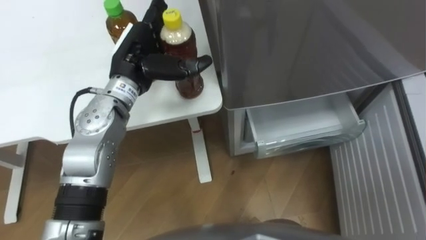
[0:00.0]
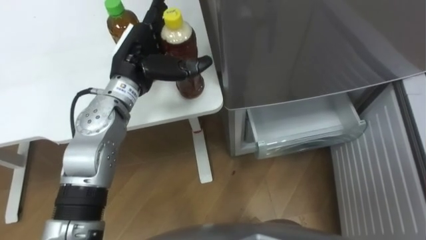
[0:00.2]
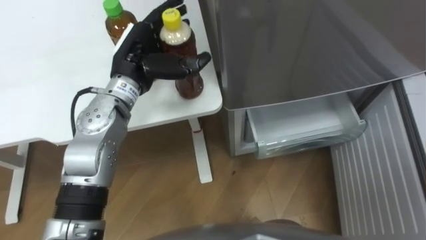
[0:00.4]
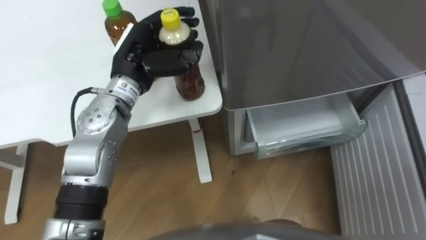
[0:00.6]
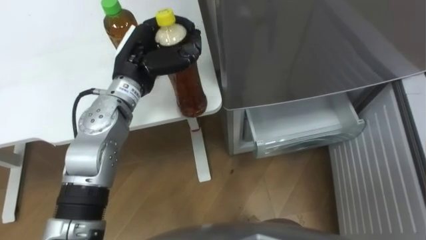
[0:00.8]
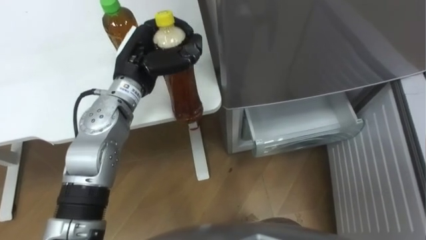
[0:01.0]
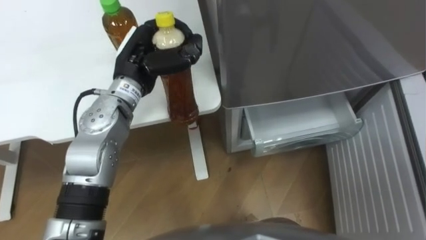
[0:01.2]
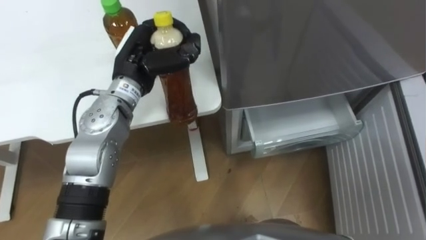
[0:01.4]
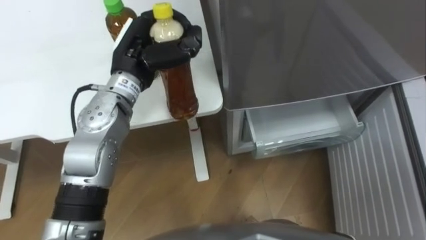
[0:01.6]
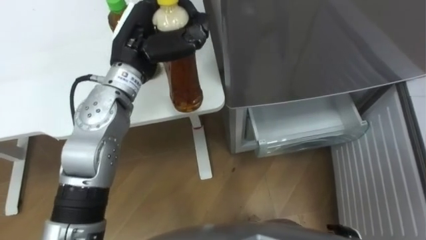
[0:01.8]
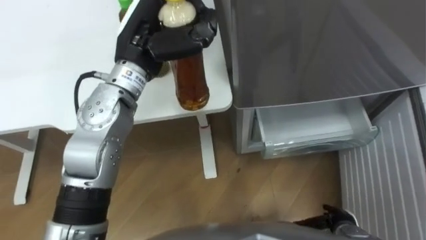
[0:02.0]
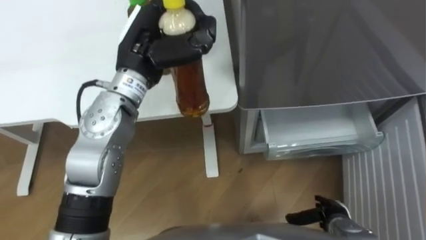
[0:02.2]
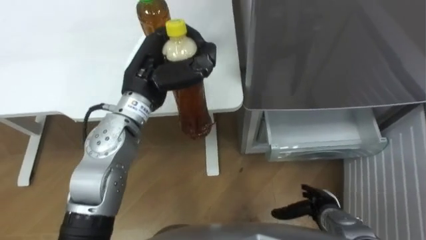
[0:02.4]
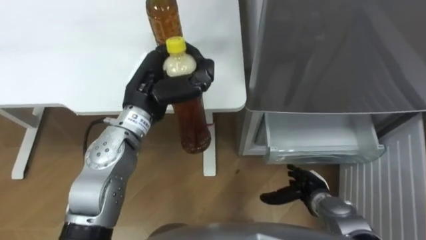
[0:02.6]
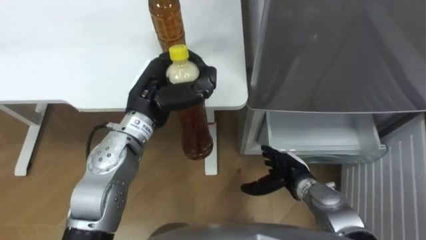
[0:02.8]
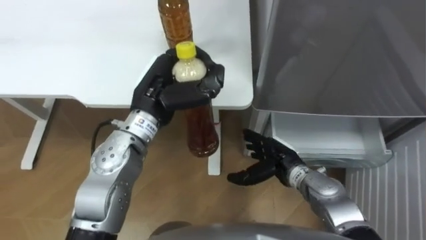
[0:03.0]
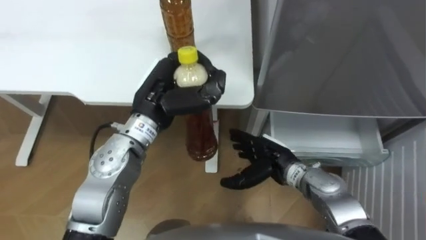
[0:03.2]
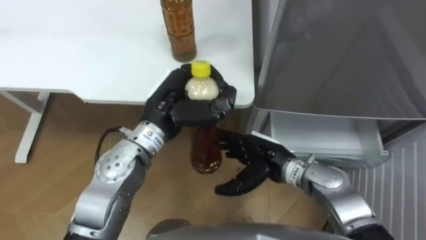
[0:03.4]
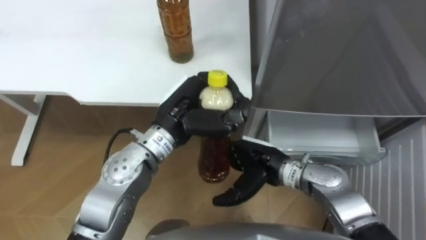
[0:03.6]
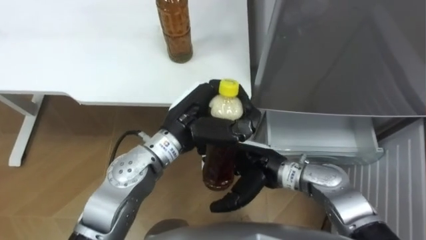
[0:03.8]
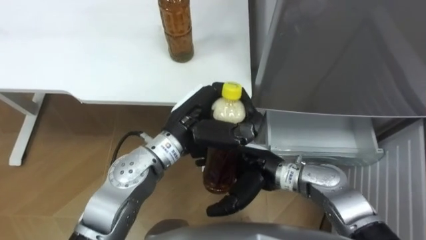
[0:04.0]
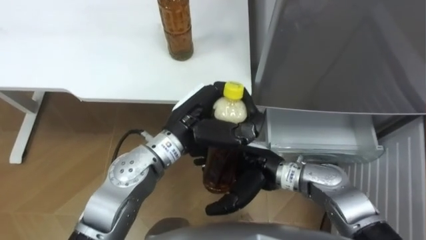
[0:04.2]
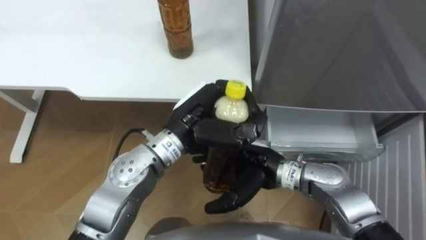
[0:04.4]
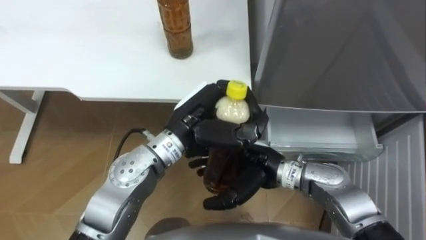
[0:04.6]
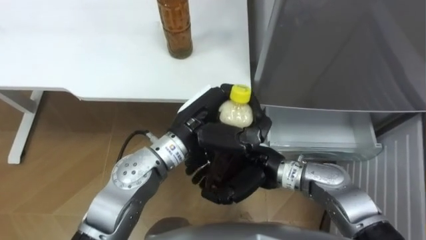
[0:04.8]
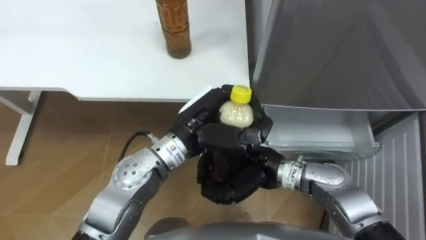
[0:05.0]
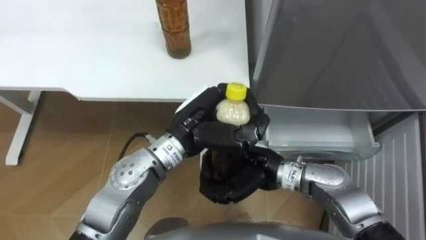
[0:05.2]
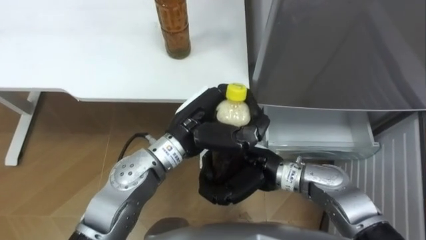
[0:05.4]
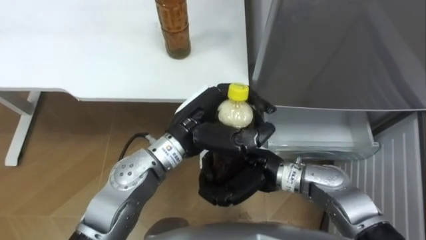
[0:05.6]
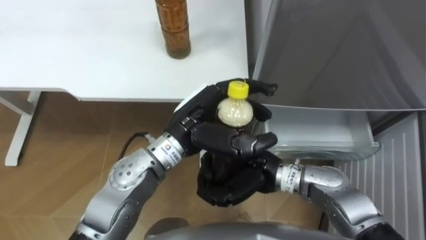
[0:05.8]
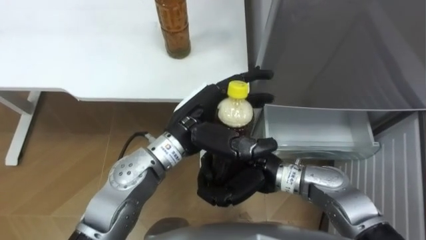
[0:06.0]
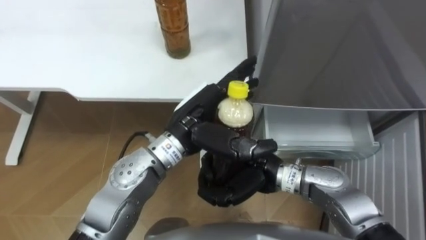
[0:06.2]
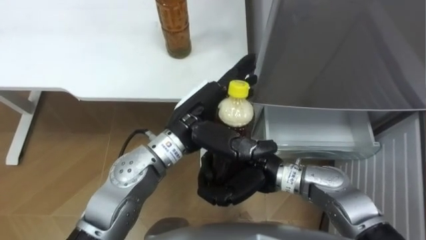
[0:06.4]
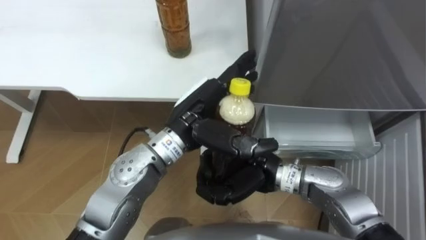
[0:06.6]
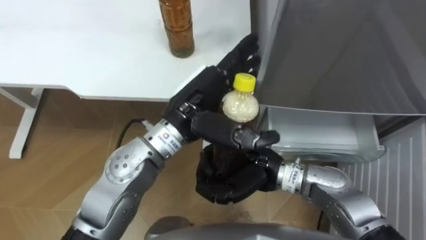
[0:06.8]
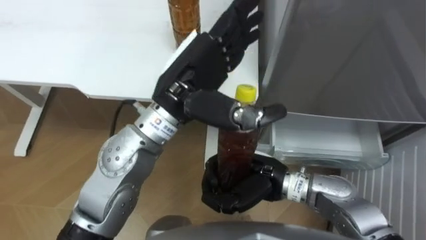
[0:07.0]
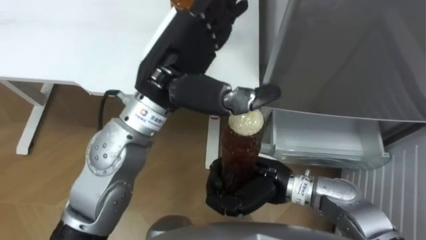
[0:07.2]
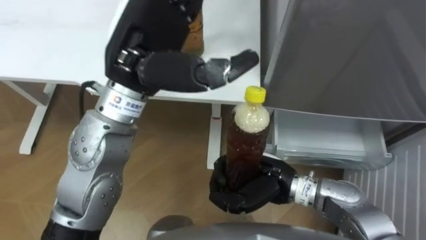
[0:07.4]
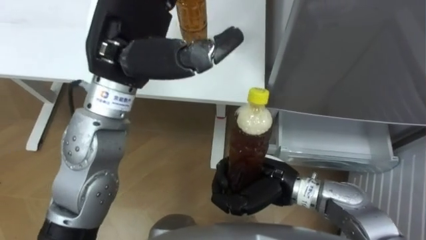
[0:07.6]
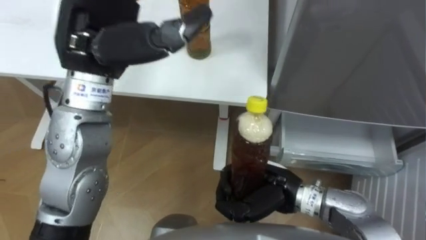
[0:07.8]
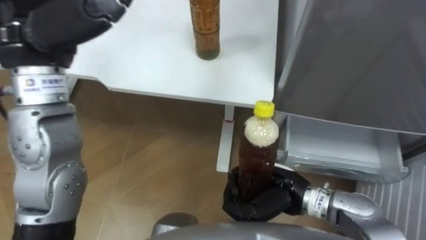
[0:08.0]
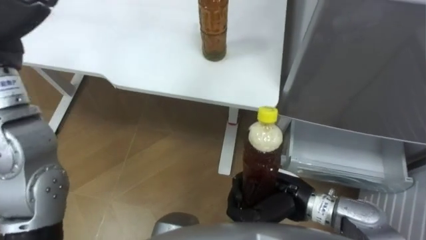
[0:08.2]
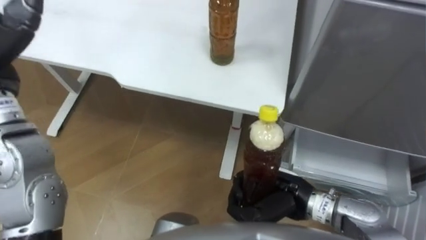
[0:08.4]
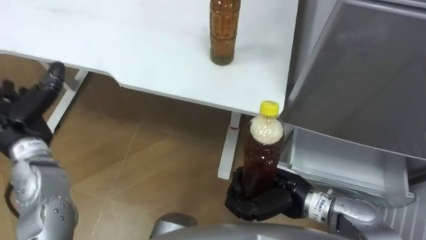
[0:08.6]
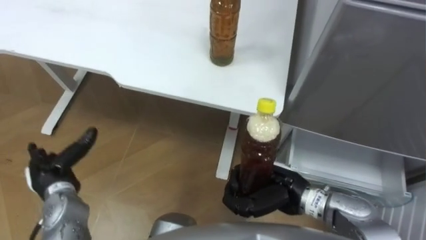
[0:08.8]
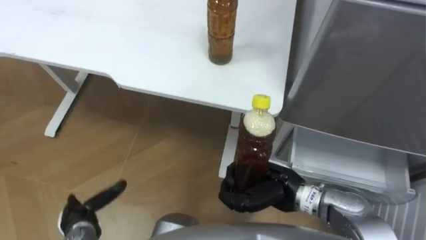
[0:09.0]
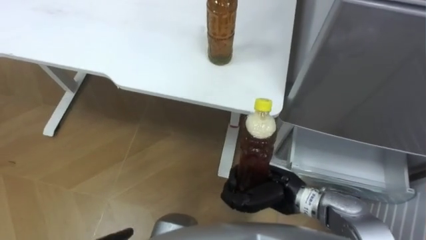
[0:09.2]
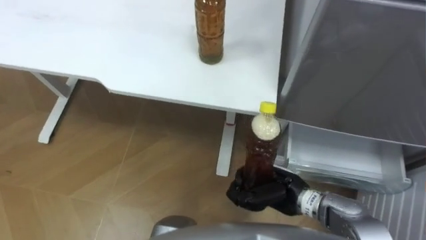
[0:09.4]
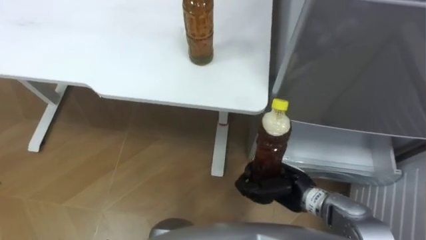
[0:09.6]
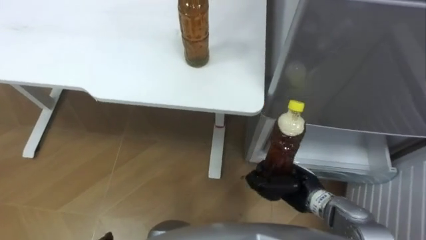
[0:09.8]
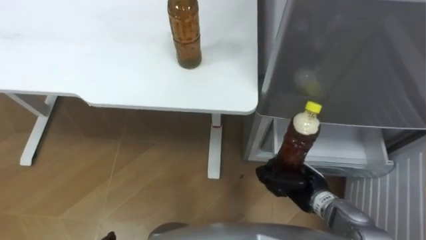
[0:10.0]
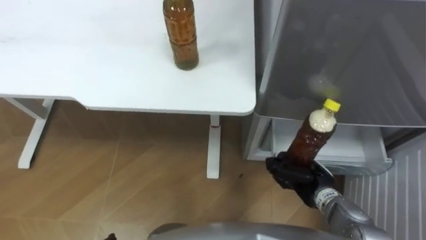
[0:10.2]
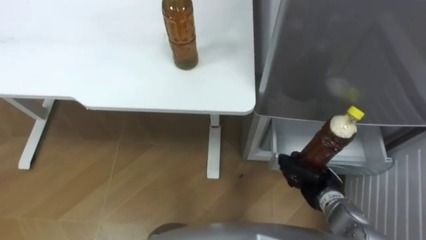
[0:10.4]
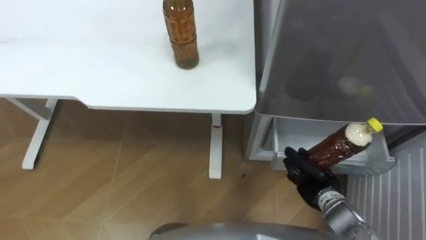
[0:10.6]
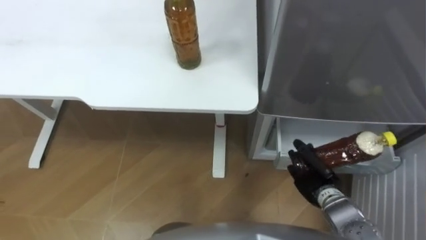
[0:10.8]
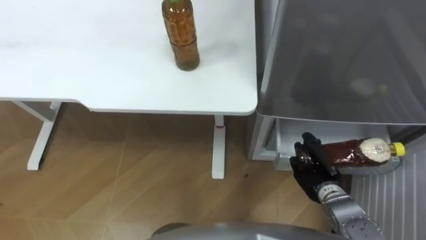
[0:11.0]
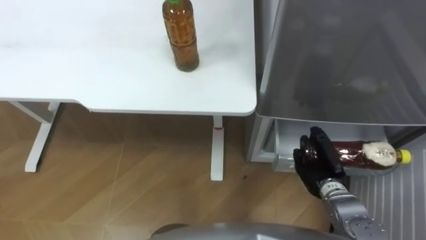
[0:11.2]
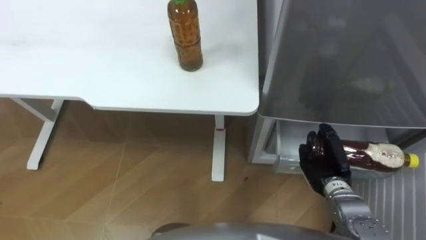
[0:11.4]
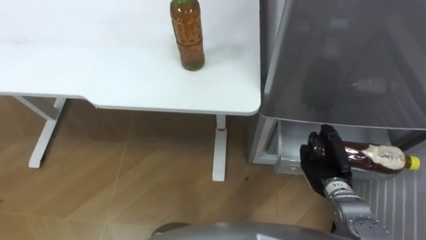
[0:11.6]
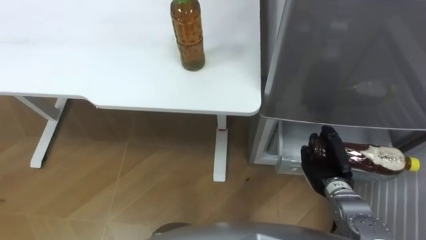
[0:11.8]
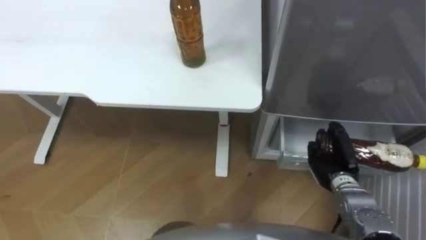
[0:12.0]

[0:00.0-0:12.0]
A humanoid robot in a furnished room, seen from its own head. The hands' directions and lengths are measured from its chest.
Task of the whole recording: Place the drink on the table on the bottom shelf of the refrigerator, then close the drawer and the refrigerator door.
0:00.0 to 0:01.6: The left hand closes.
0:01.6 to 0:03.0: The left hand travels backward by approximately 5 cm, and reaches roughly 5 cm upward, then returns.
0:03.0 to 0:04.4: The right hand heads upward and to the left, covering about 10 cm; the left hand shifts some 5 cm to the right.
0:04.4 to 0:06.0: The right hand closes its fingers. Meanwhile the left hand opens up.
0:06.0 to 0:07.6: The left hand goes some 15 cm upward and to the left.
0:09.0 to 0:10.4: The right hand travels to the right and downward by approximately 15 cm.

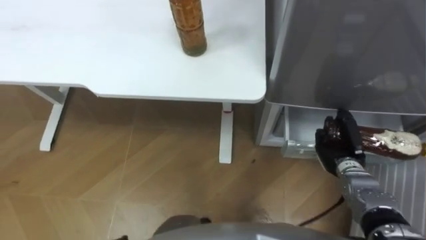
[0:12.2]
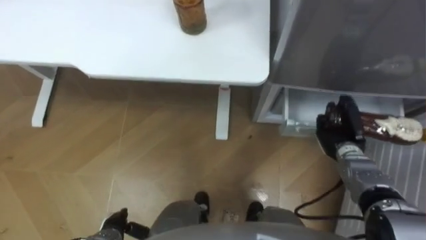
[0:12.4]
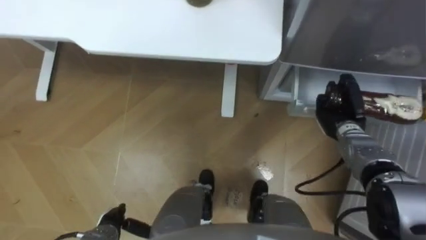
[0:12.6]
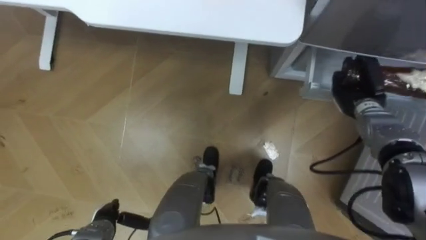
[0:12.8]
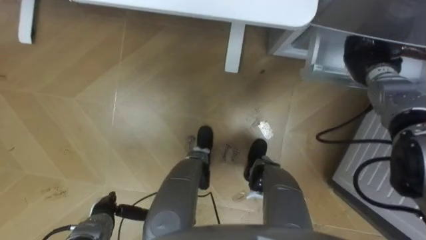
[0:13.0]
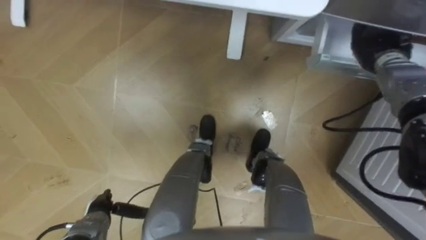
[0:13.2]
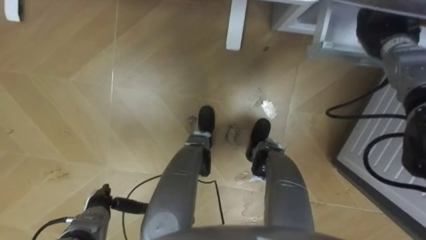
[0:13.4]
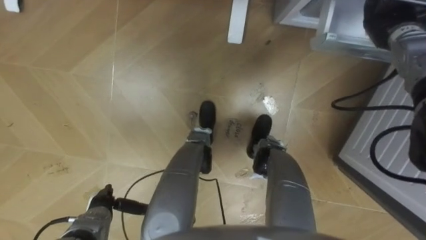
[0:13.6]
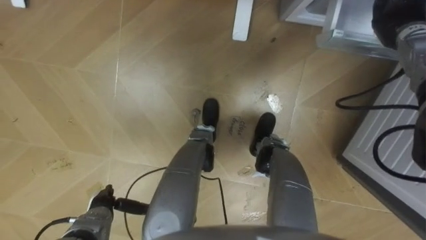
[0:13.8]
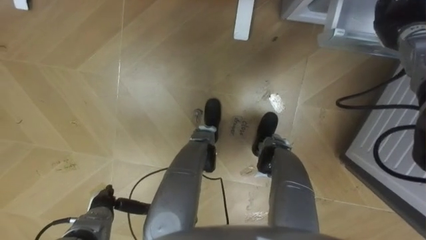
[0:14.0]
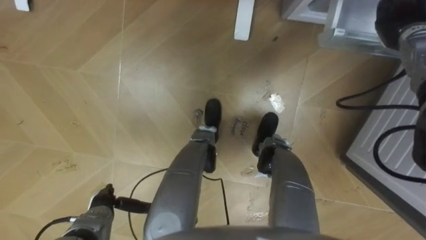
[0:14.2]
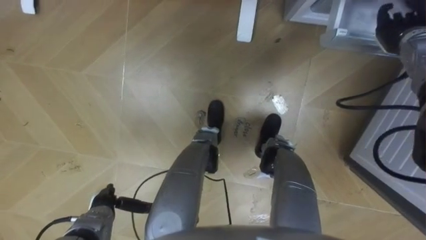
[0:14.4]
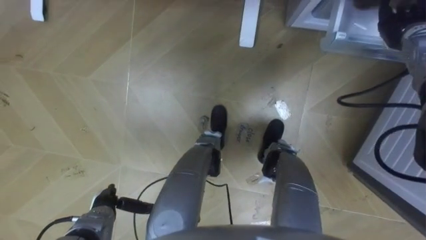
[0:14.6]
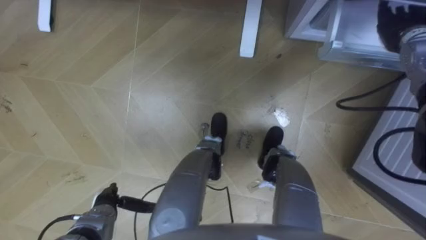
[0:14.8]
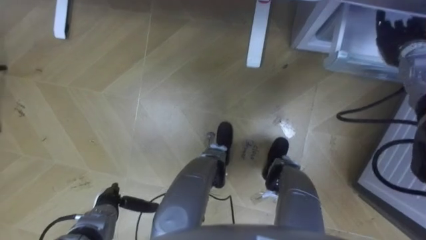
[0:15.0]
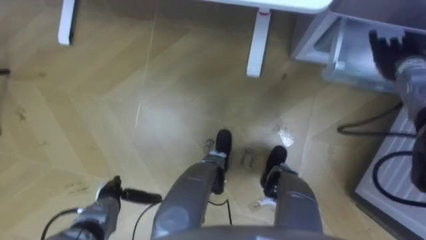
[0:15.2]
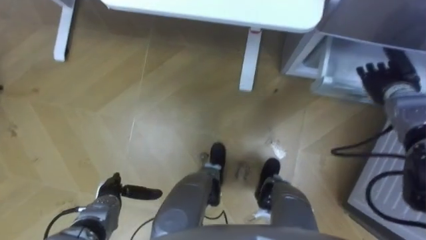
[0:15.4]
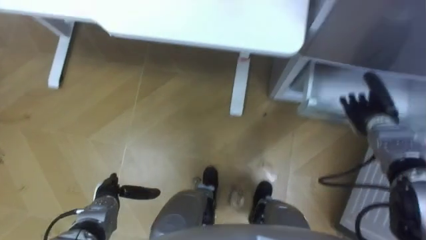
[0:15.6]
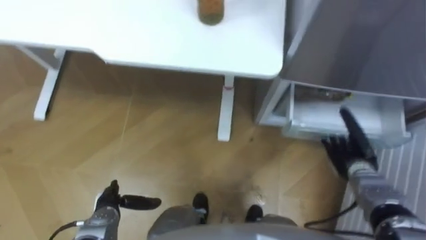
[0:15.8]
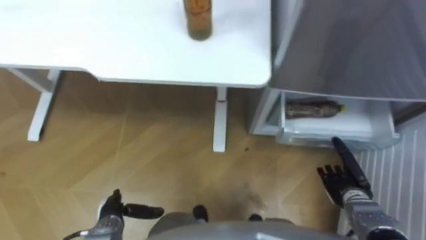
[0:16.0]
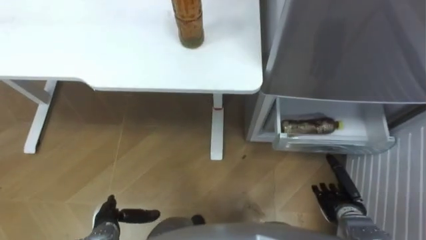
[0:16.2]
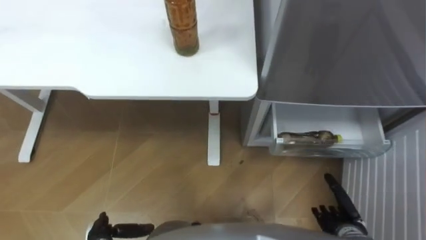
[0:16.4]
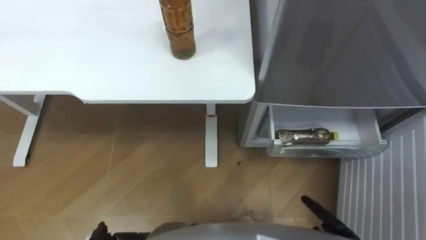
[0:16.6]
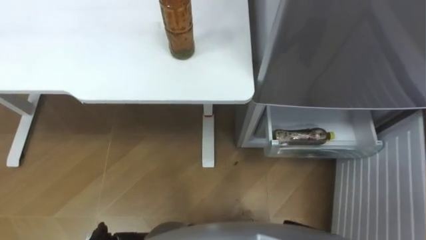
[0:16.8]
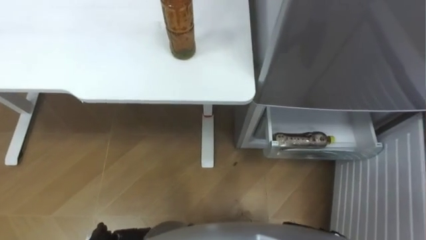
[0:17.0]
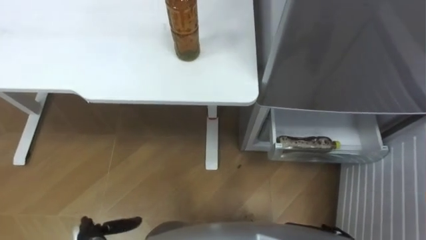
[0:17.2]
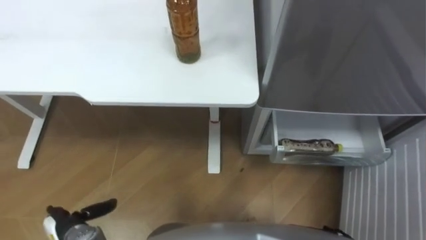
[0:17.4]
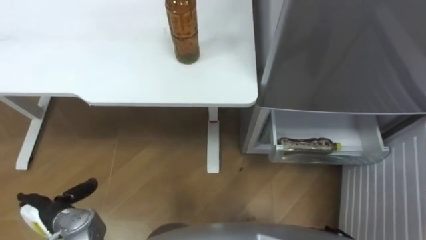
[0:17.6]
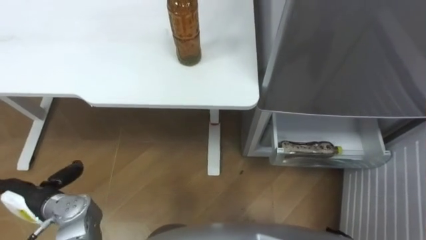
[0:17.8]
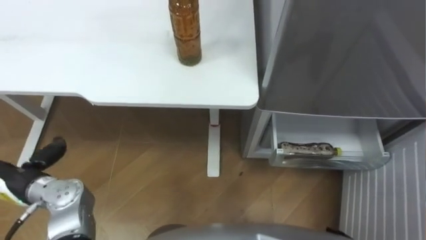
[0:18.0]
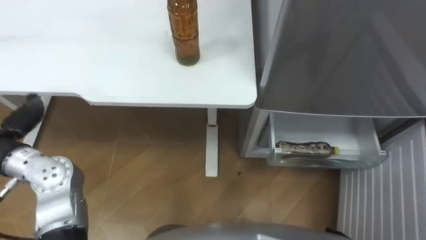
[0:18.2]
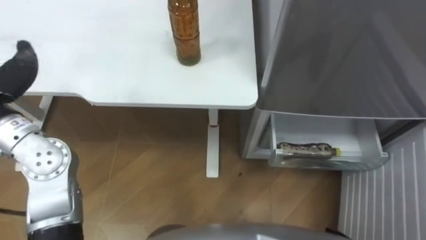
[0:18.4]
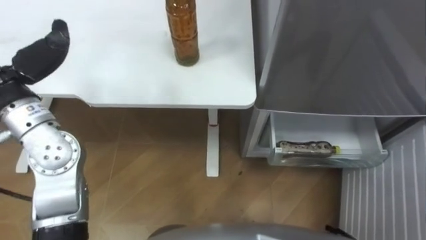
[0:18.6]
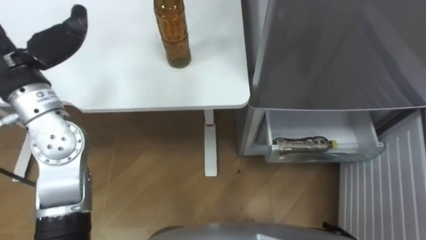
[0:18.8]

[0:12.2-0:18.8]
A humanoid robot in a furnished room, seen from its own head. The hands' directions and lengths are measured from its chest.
Task of the whole recording: Place the drink on the table on the bottom shelf of the refrigerator, then close the drawer and the refrigerator door.
0:12.2 to 0:13.8: The right hand is displaced upward and forward by roughly 30 cm.
0:13.8 to 0:15.4: The right hand heads downward and backward, covering about 10 cm, and opens up.
